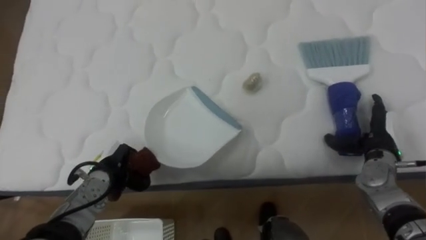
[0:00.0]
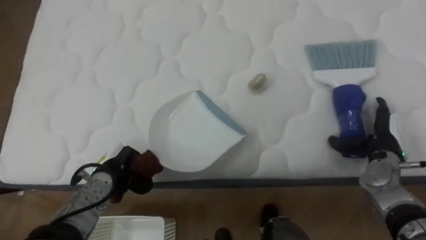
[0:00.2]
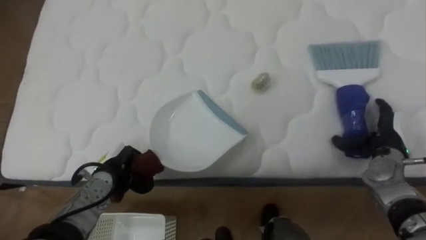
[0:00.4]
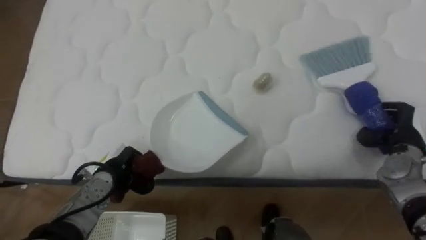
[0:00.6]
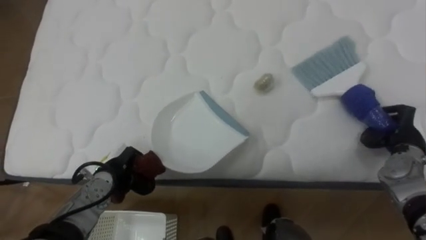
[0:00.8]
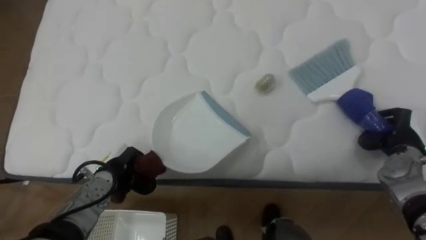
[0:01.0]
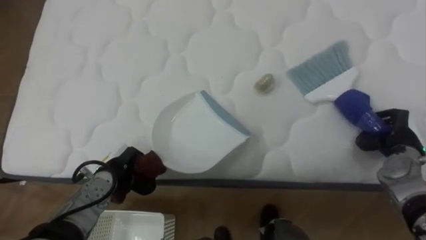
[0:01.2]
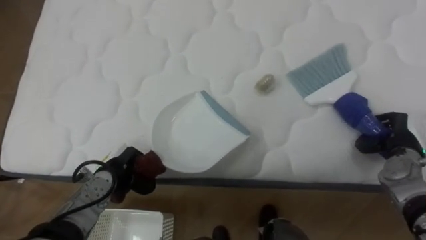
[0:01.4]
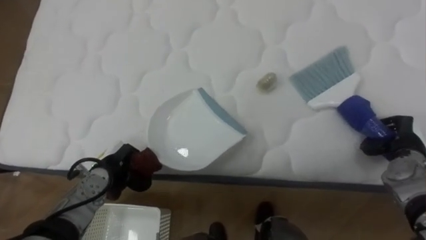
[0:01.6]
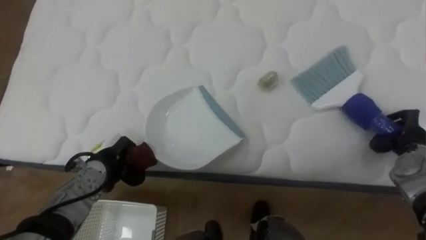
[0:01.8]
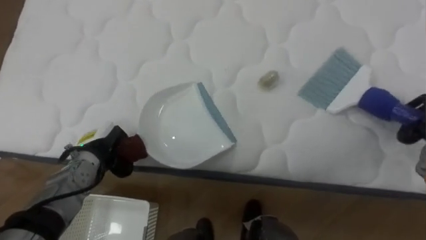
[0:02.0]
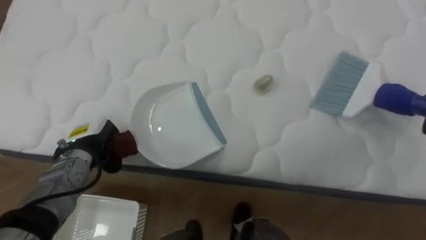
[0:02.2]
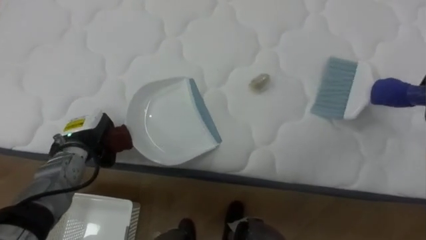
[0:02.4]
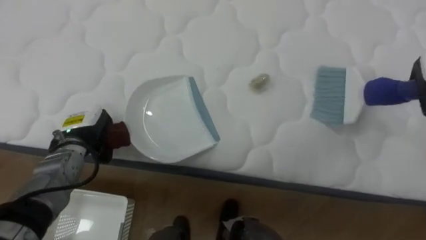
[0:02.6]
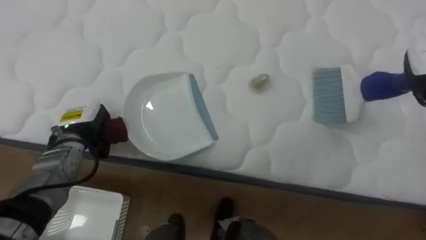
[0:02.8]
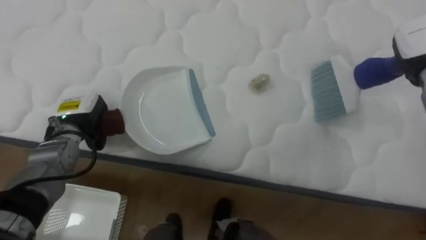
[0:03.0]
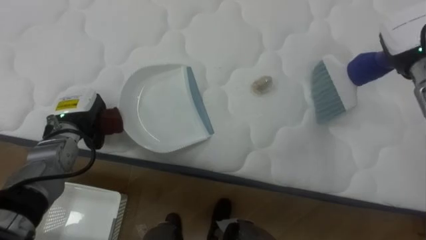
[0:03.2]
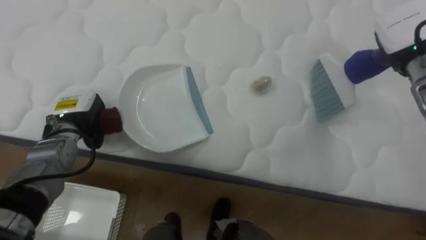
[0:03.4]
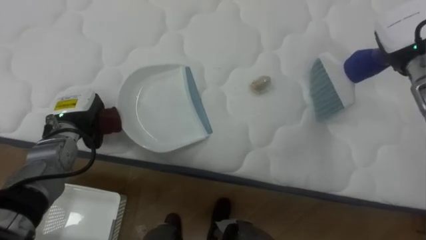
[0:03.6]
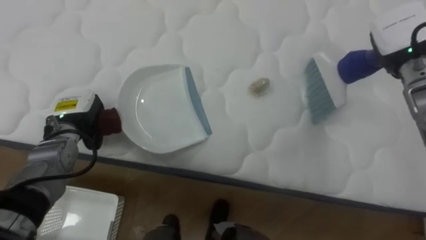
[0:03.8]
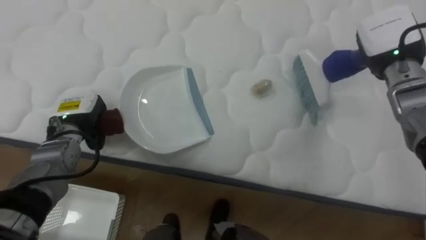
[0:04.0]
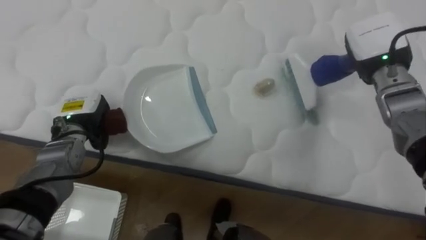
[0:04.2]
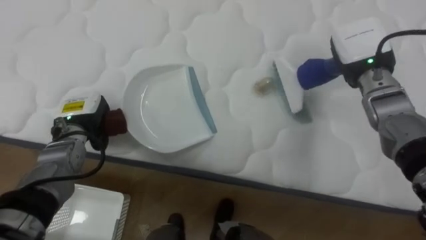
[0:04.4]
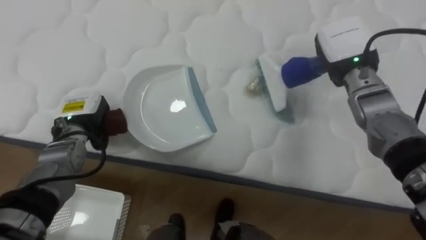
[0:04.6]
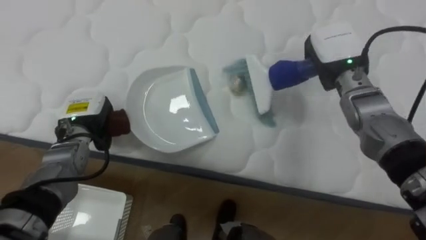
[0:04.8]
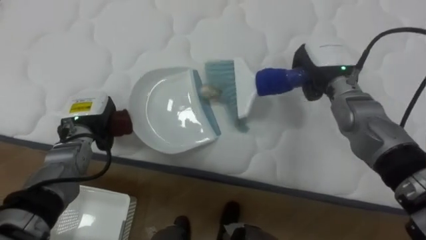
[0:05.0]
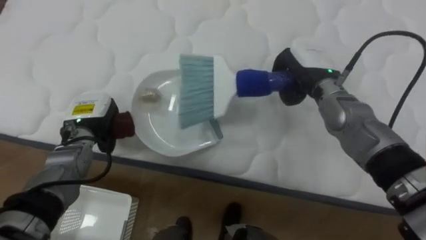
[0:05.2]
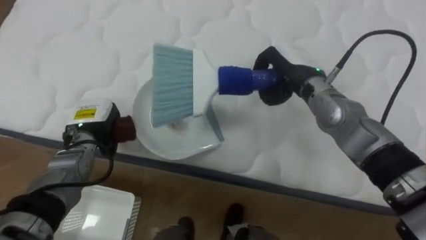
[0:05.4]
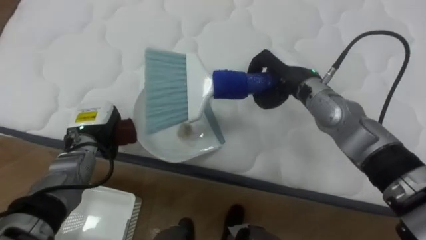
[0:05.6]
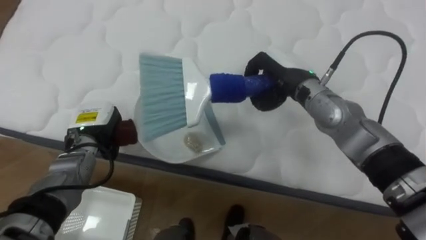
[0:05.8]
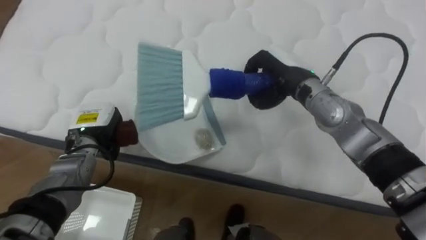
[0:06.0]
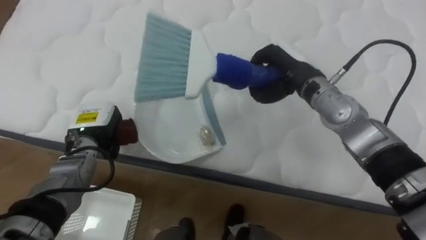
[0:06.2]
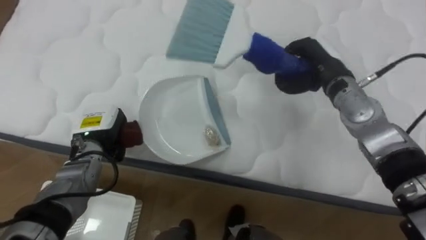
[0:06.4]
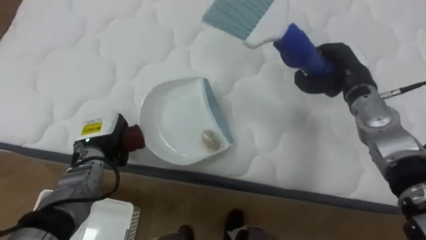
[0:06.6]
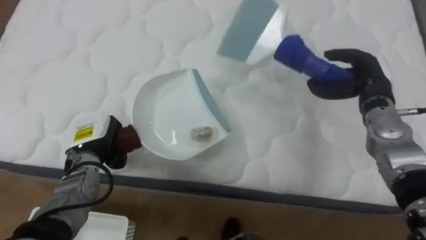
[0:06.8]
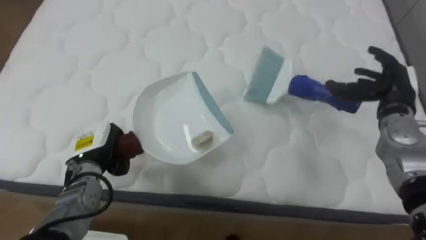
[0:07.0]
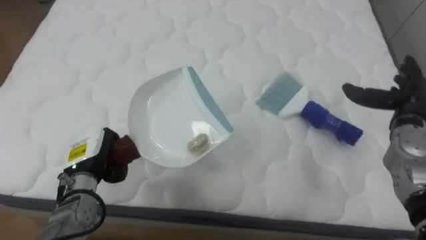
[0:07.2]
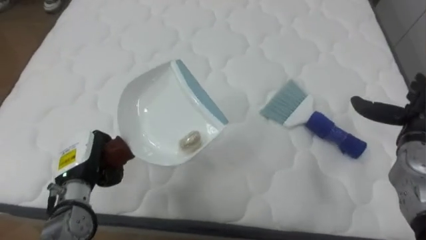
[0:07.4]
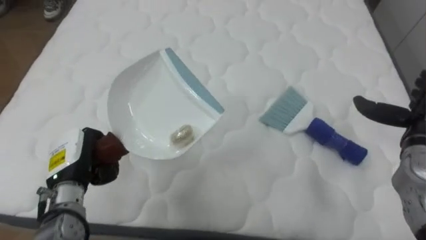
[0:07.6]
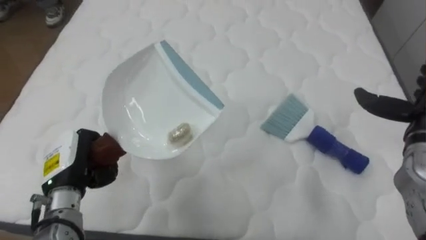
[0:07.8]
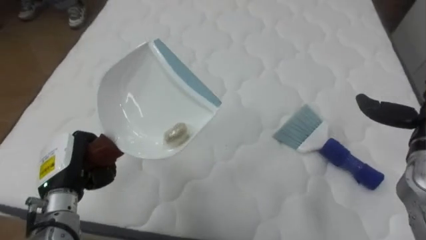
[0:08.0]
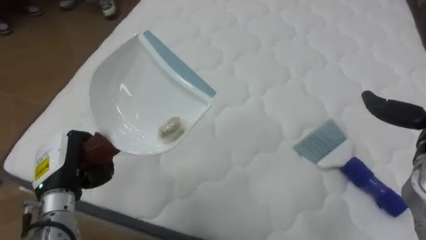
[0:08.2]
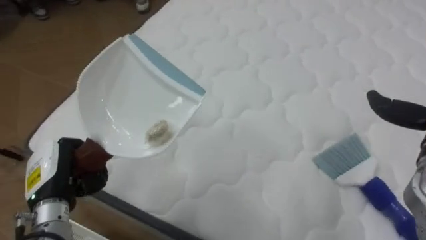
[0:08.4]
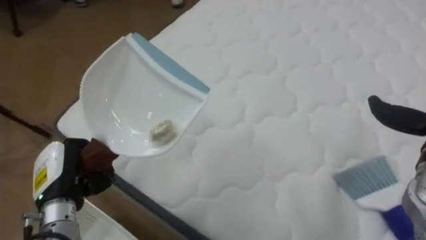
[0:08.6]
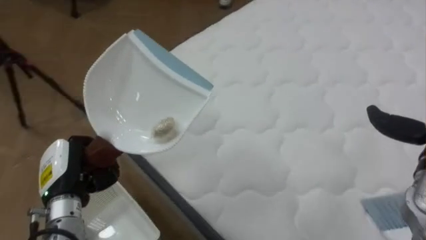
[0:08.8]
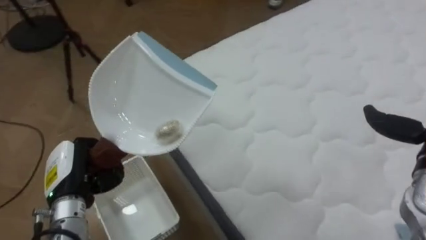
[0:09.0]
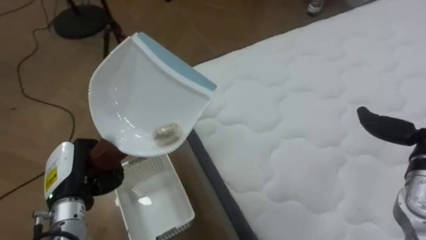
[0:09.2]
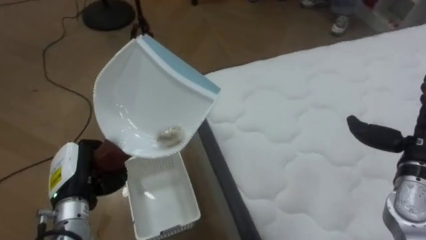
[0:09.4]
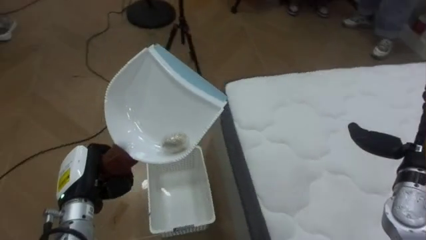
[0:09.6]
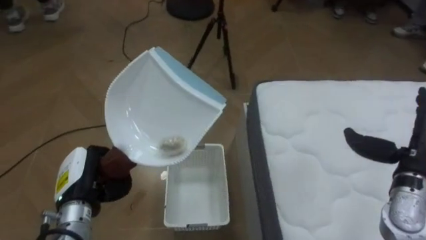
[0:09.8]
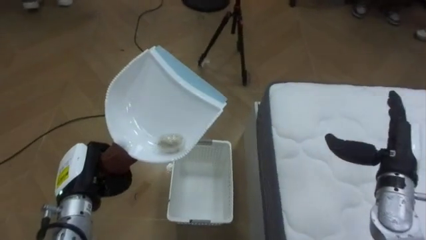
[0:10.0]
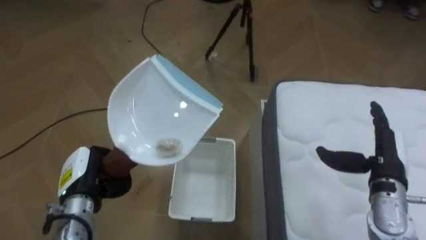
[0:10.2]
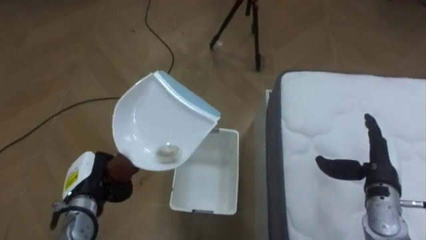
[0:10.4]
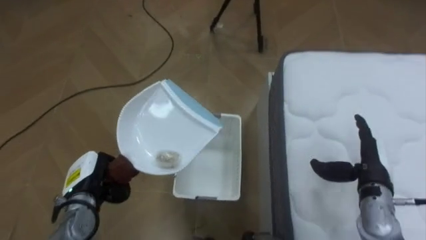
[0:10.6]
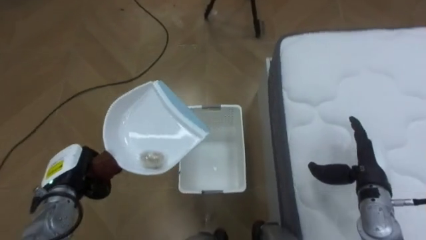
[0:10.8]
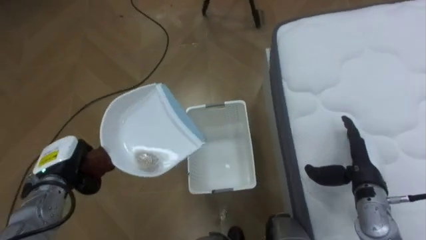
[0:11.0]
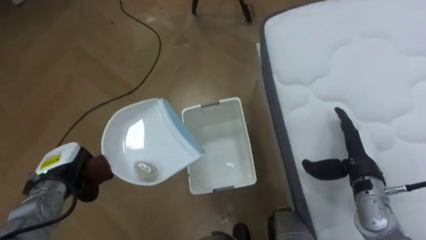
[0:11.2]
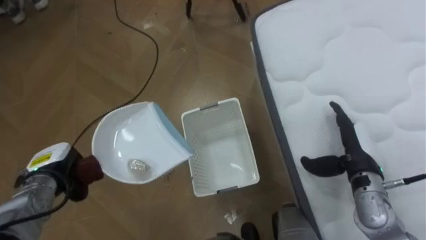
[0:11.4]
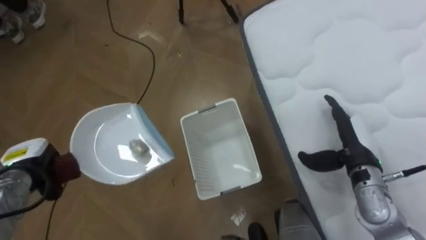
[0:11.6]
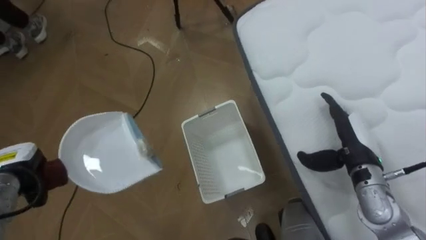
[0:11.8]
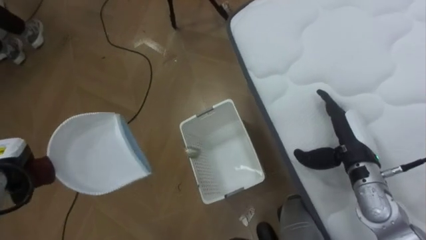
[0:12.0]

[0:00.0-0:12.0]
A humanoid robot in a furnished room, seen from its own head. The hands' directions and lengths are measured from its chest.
Task of the whole recording: Pick up the brush on your right and the dustpan on your left. Use the brush to sweep the crumpled paper on the bed into the dustpan, then turn left and empty it into the basket.
0:00.0 to 0:01.6: The right hand closes up.
0:01.6 to 0:03.0: The left hand shifts some 15 cm upward, forward and to the left.
0:03.0 to 0:04.4: The right hand heads to the left, covering roughly 10 cm.
0:04.4 to 0:06.0: The right hand heads to the left, covering some 15 cm.
0:06.0 to 0:07.6: The left hand moves backward, approximately 10 cm. The right hand travels to the right by some 25 cm, and opens its fingers.
0:07.6 to 0:09.0: The robot's body swings roughly 50 degrees to its left.
0:09.0 to 0:10.4: The robot turns to its left by about 40 degrees. The left hand goes about 5 cm downward.
0:10.4 to 0:12.0: The left hand heads to the left, covering approximately 15 cm; the right hand shifts approximately 5 cm to the left.

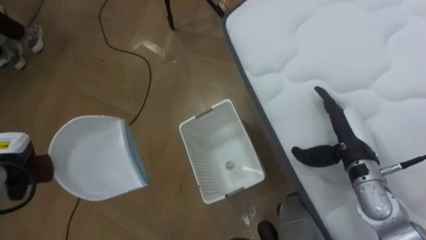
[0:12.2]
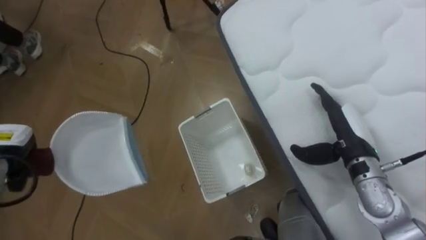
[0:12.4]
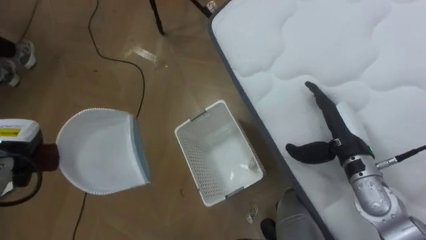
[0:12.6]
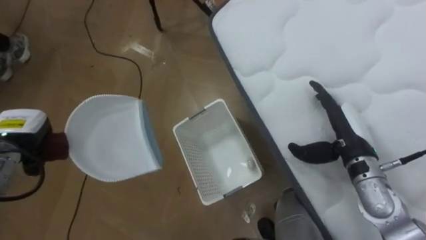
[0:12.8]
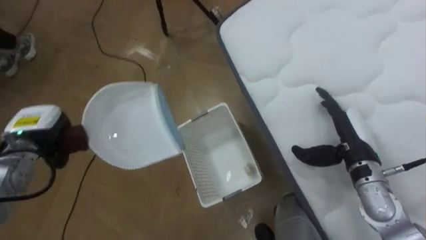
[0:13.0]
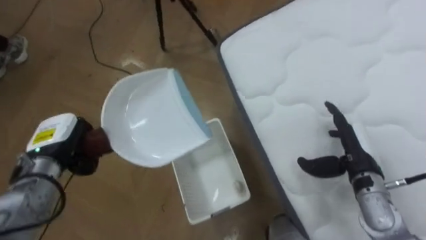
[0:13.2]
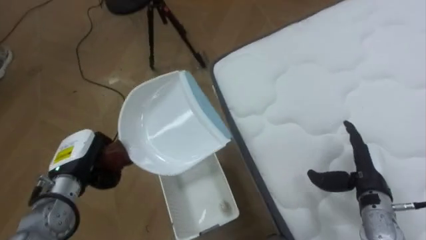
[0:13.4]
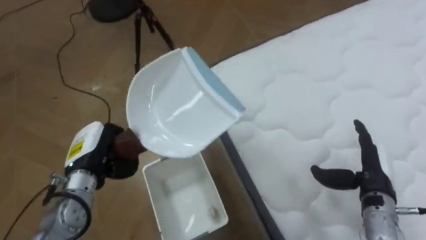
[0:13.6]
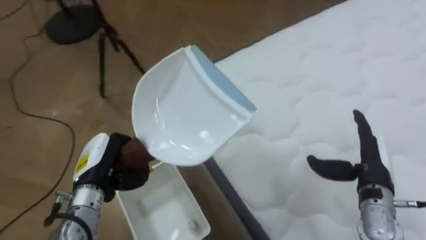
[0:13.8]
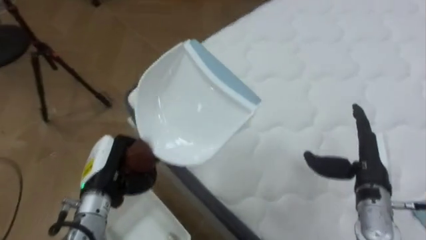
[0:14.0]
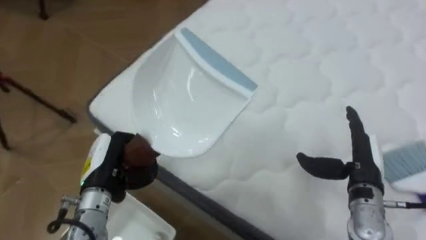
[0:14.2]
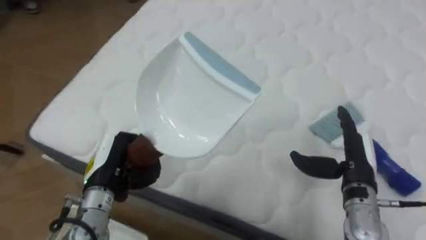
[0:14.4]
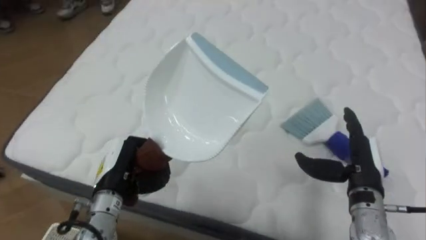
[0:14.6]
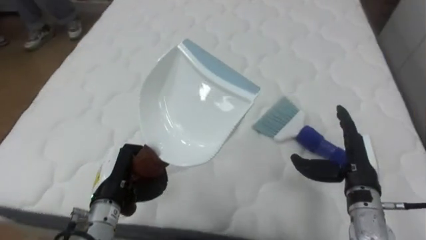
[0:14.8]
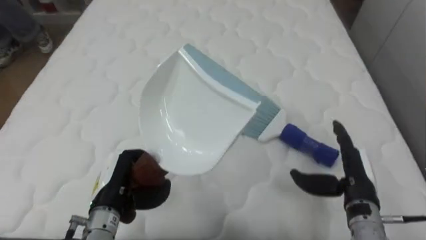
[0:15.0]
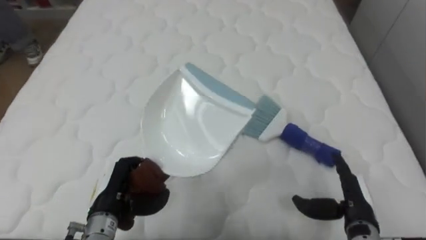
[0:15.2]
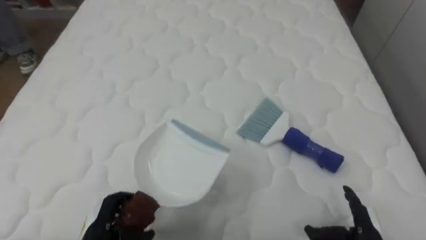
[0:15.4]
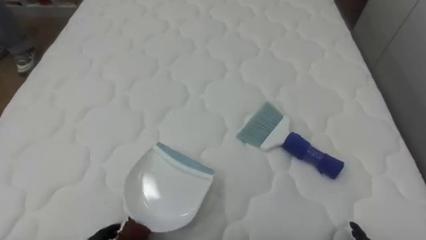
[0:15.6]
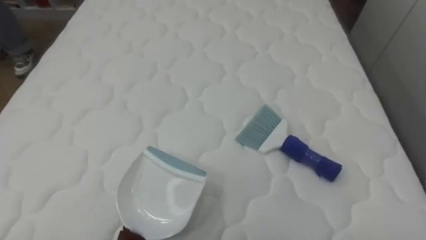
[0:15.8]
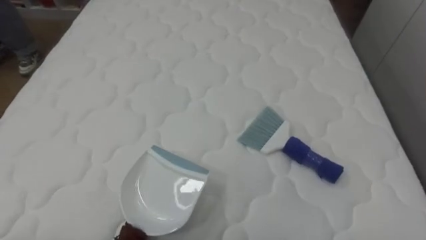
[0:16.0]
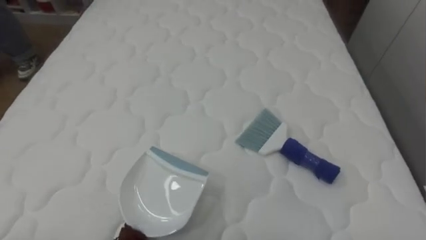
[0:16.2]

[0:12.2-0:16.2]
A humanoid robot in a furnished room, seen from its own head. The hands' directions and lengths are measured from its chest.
Task of the whole recording: Pick up the brush on your right and the dustpan on your left. Use the brush to sweep the crumpled paper on the bed into the dustpan, then turn left and empty it into the basket.
0:12.2 to 0:13.6: The left hand goes some 15 cm to the right. The right hand moves about 10 cm.
0:13.6 to 0:14.8: The robot faces some 65 degrees further to its right. The left hand shifts about 5 cm to the right.
